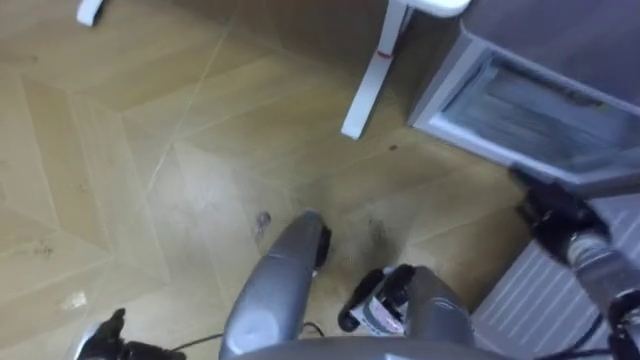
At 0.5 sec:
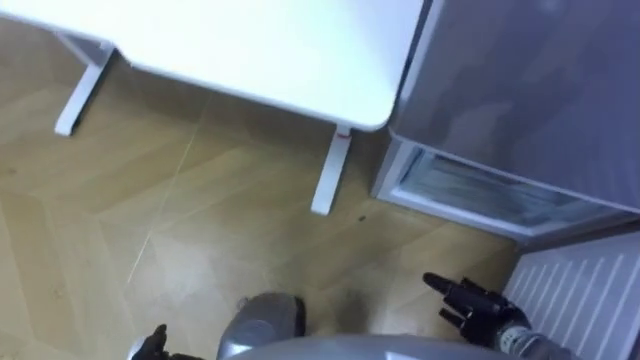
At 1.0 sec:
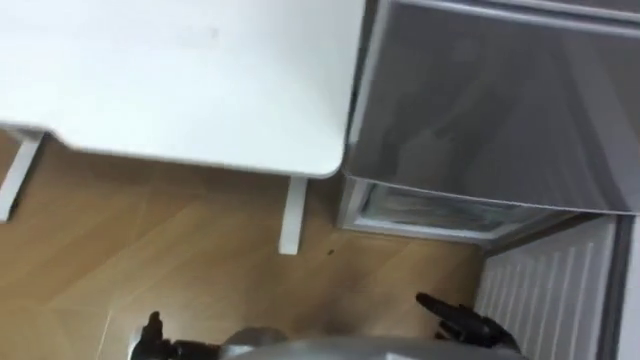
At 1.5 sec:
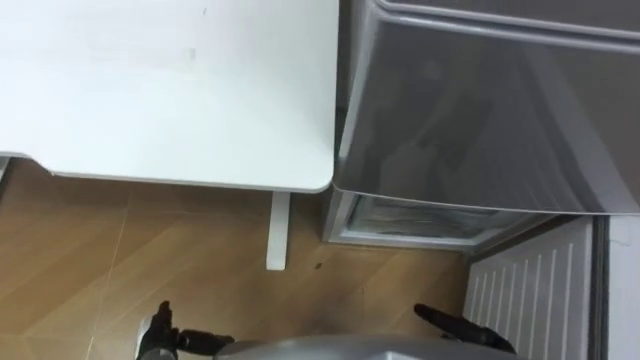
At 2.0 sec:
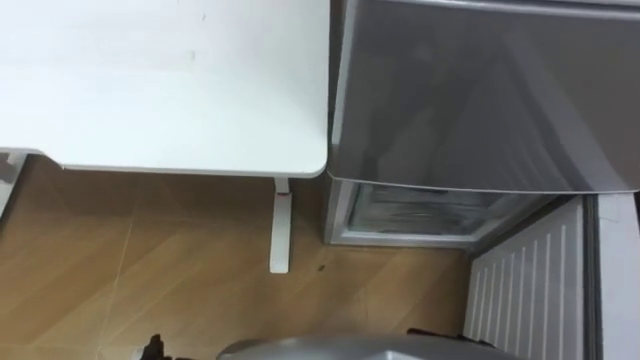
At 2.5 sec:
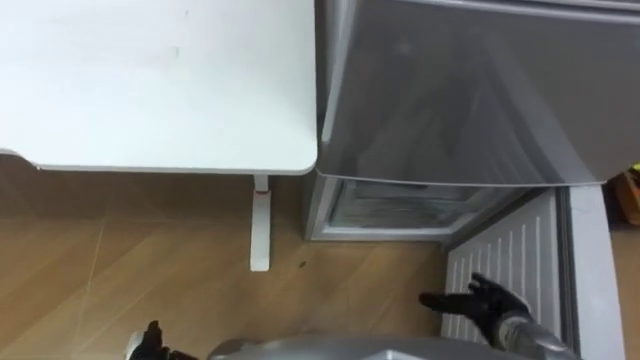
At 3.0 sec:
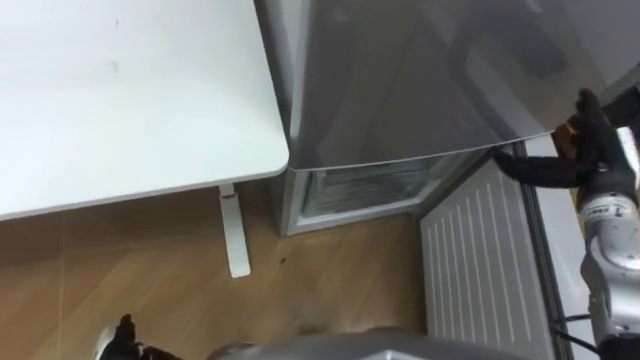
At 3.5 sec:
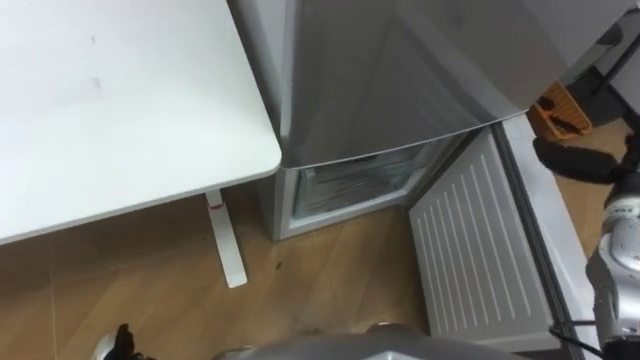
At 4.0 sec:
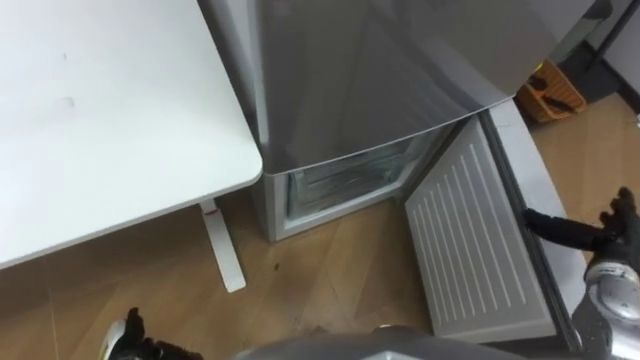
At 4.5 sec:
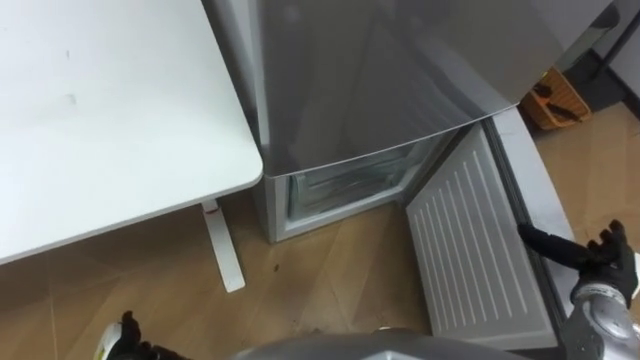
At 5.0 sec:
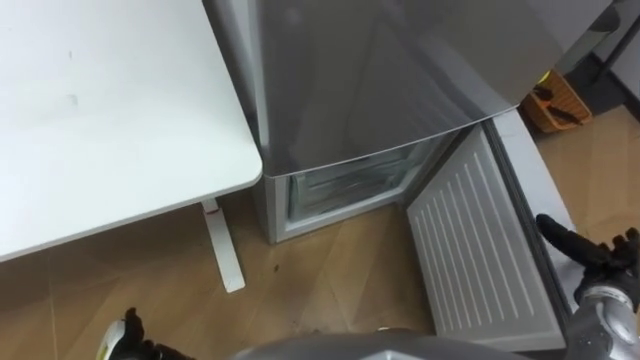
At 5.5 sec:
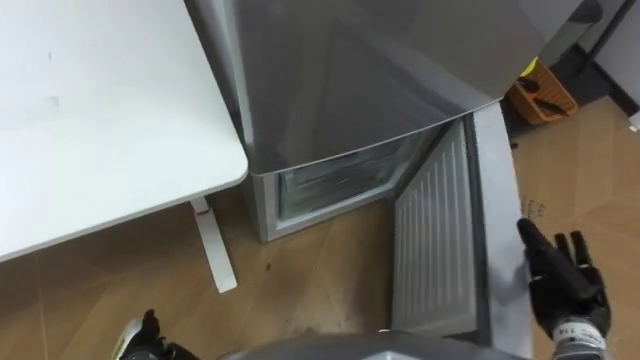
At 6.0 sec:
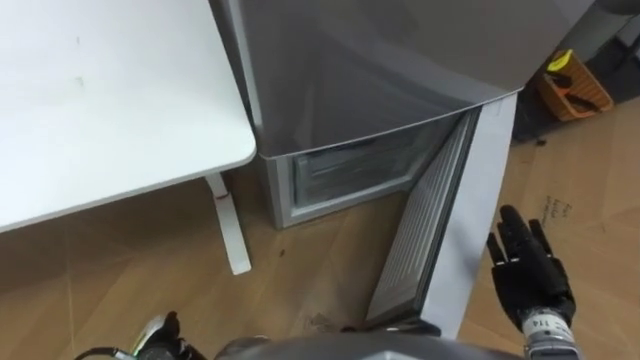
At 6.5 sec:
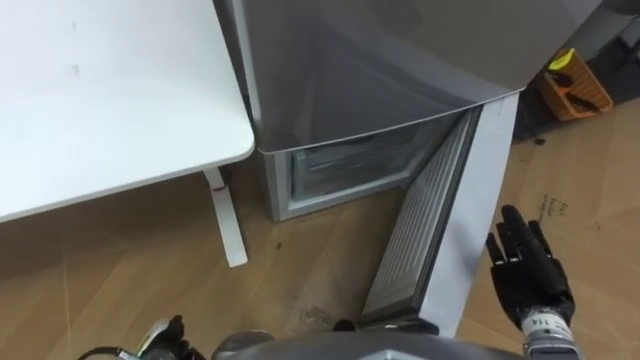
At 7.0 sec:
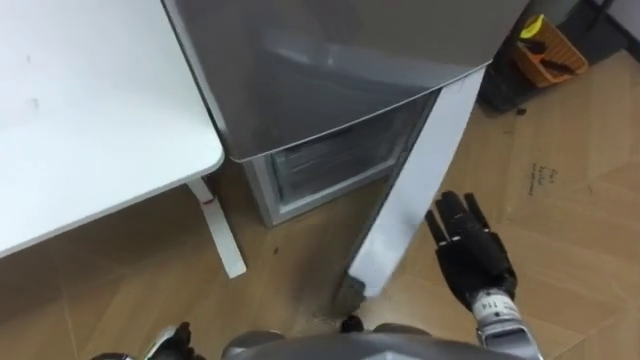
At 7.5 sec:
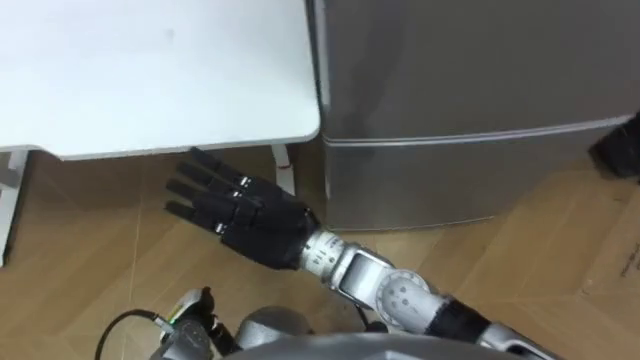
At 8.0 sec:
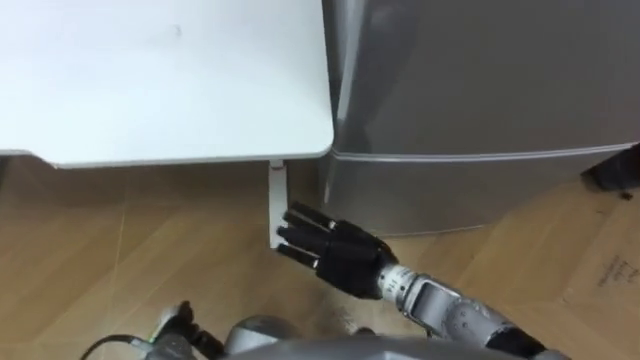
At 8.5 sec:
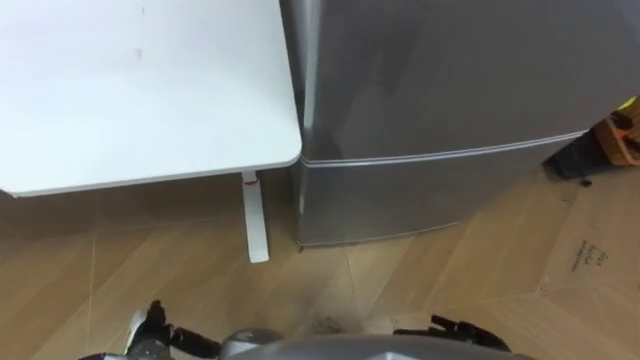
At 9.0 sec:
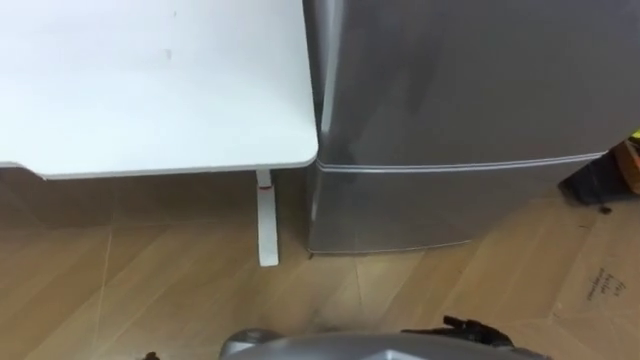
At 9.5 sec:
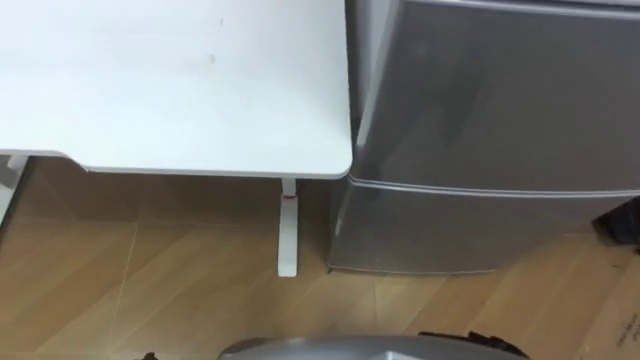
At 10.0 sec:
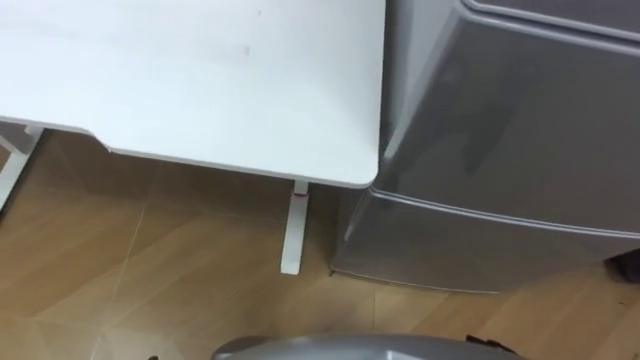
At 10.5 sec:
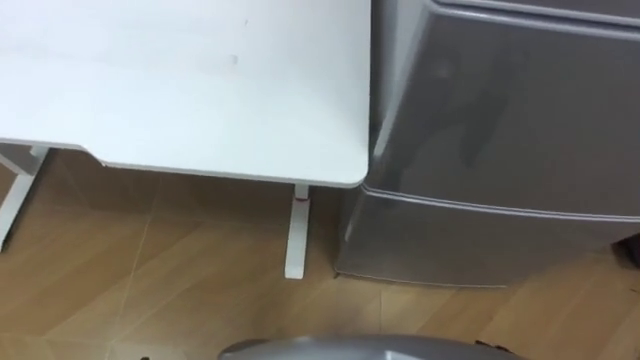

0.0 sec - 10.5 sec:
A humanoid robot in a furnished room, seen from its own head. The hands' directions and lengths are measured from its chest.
Task of the whole recording: Place the drink on the table on the bottom shelf of the refrigerator, then close the drawer and the refrigerator door.
2.0 sec - 4.0 sec: The robot faces roughly 20 degrees further to its right.
4.0 sec - 6.5 sec: The right hand travels to the left by about 10 cm.
6.5 sec - 8.5 sec: The right hand heads downward and backward, covering some 10 cm, and reaches about 35 cm to the left, then returns.
8.5 sec - 10.5 sec: The robot's body swings roughly 20 degrees to its left.

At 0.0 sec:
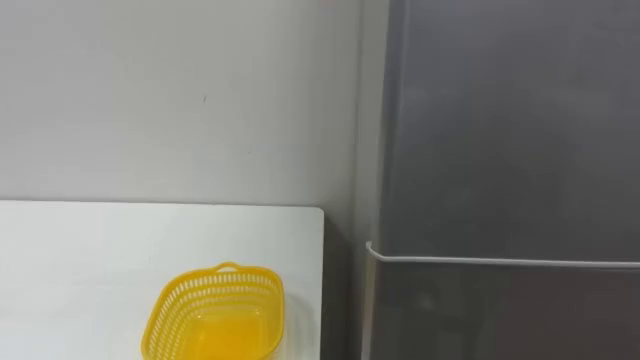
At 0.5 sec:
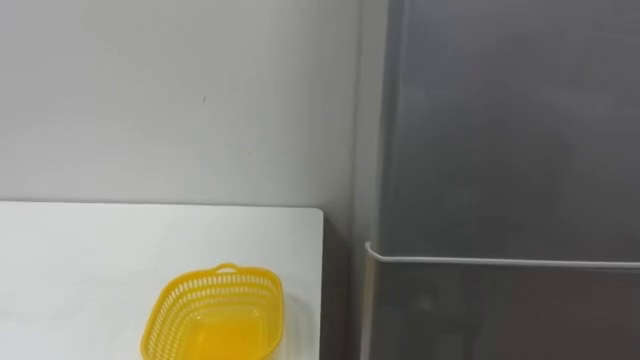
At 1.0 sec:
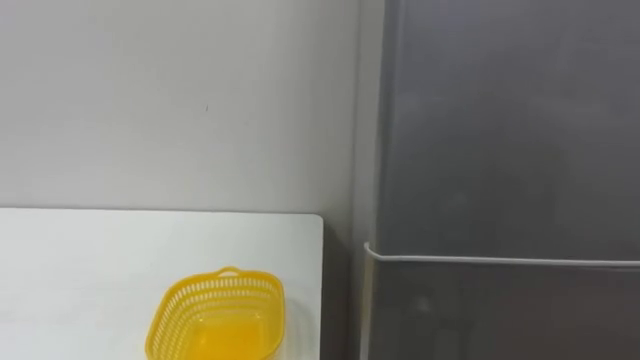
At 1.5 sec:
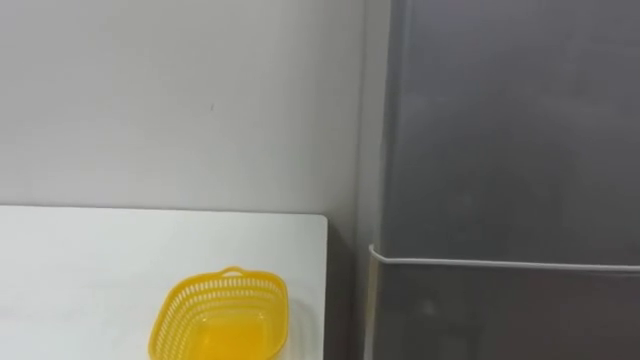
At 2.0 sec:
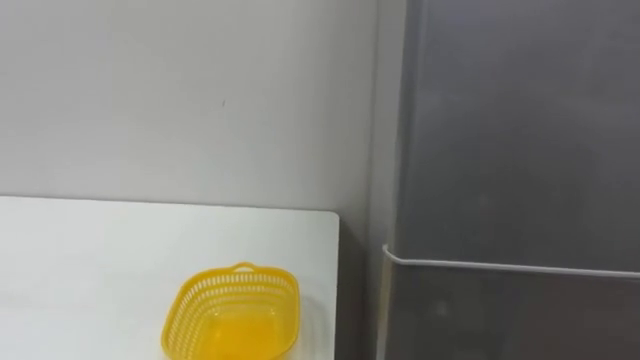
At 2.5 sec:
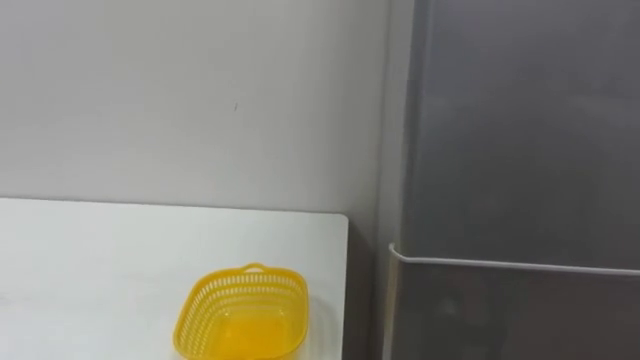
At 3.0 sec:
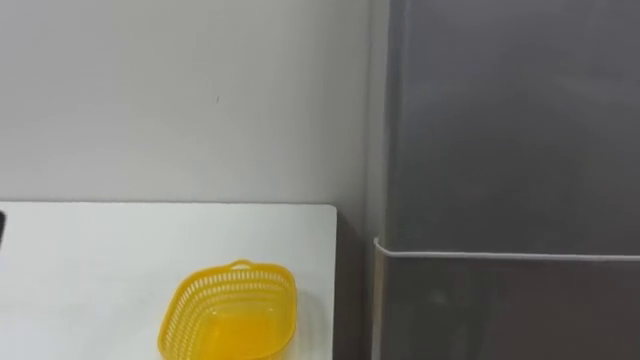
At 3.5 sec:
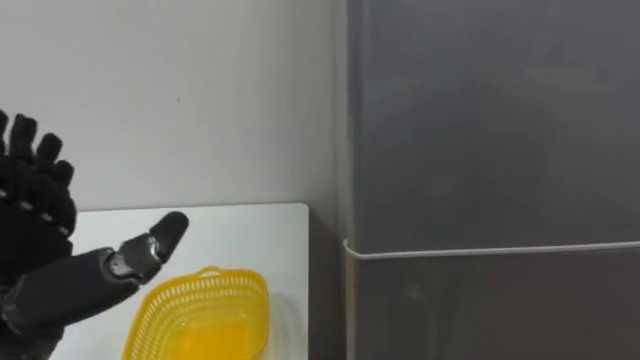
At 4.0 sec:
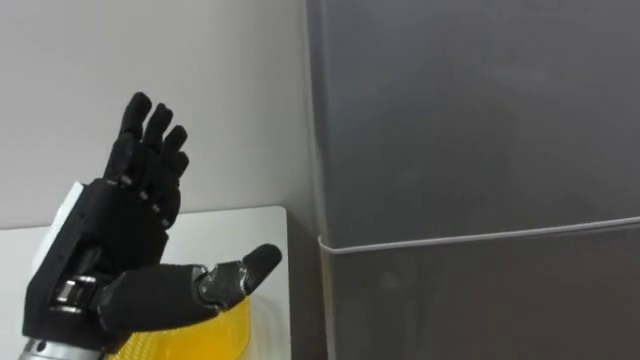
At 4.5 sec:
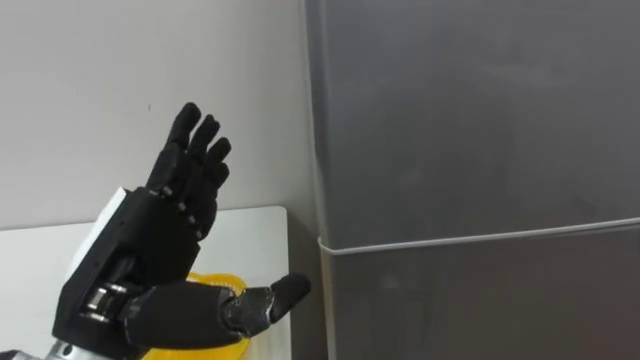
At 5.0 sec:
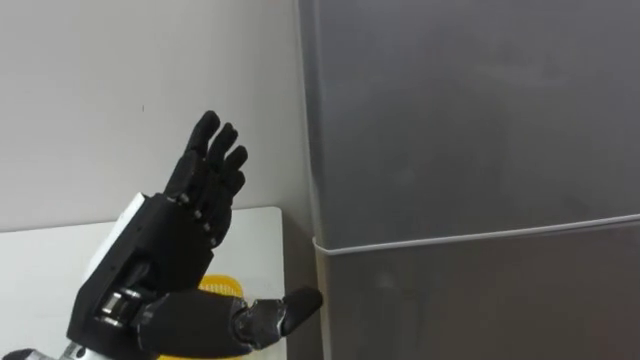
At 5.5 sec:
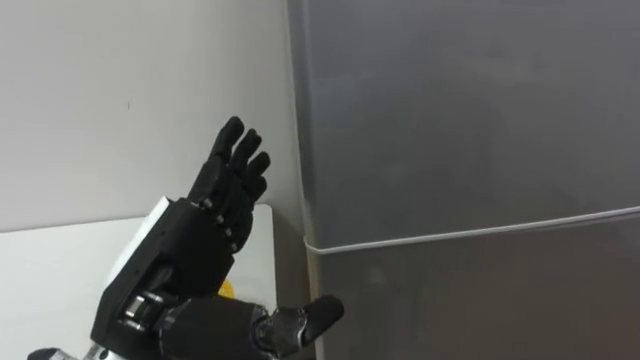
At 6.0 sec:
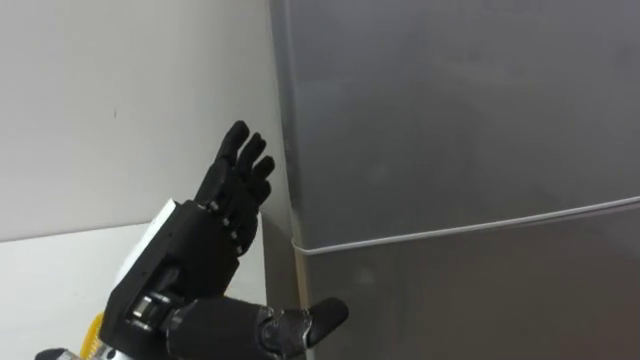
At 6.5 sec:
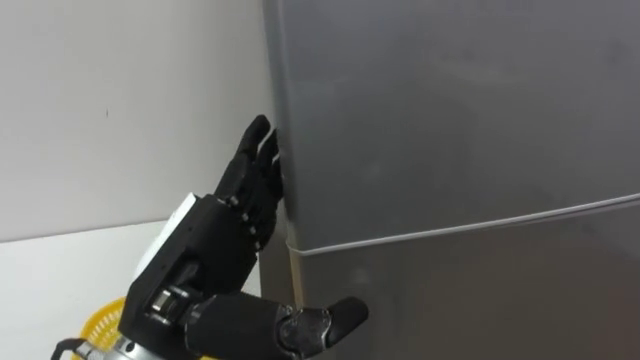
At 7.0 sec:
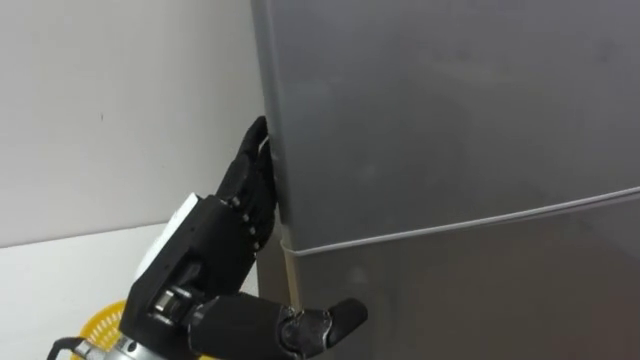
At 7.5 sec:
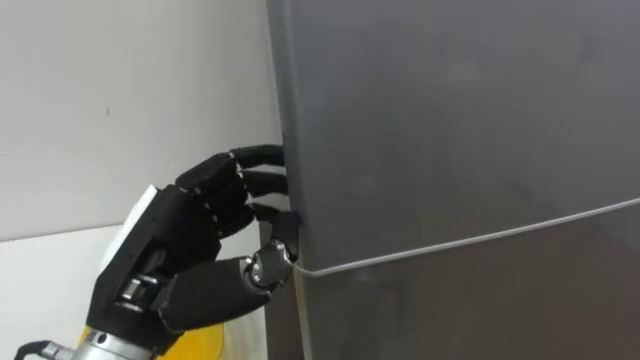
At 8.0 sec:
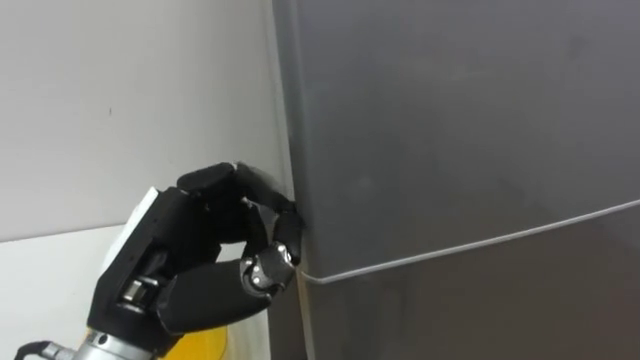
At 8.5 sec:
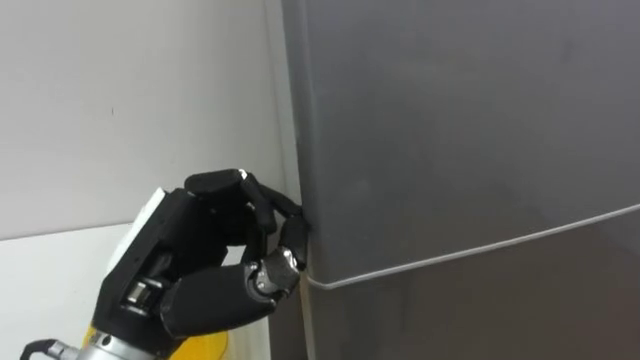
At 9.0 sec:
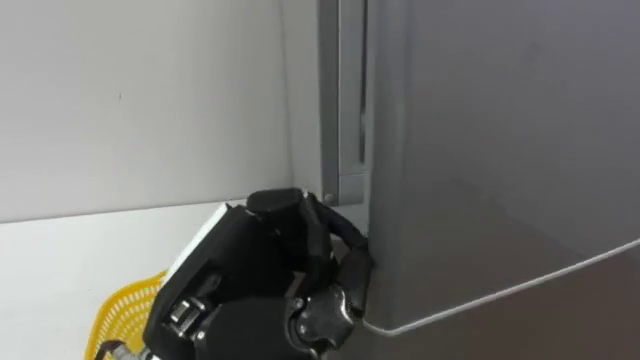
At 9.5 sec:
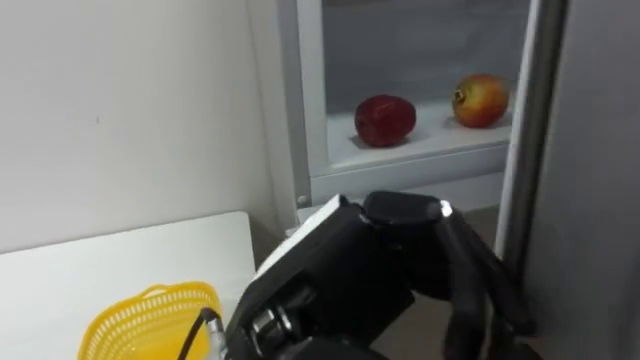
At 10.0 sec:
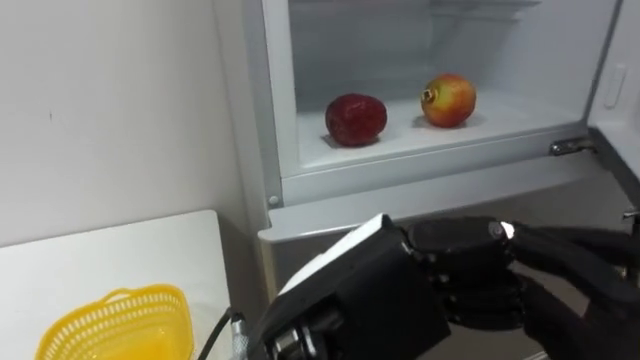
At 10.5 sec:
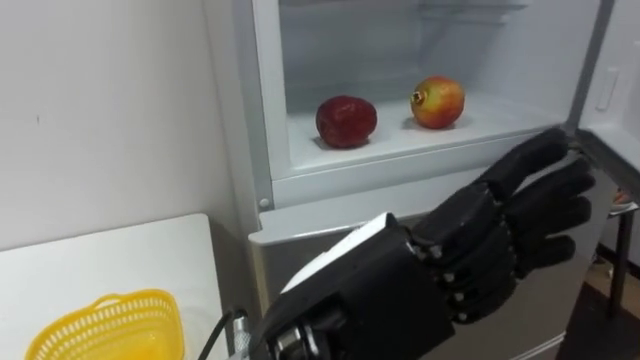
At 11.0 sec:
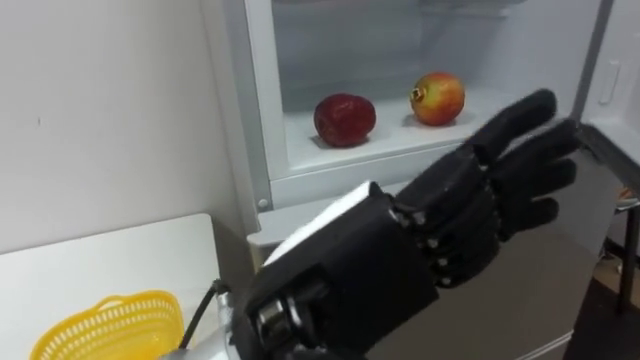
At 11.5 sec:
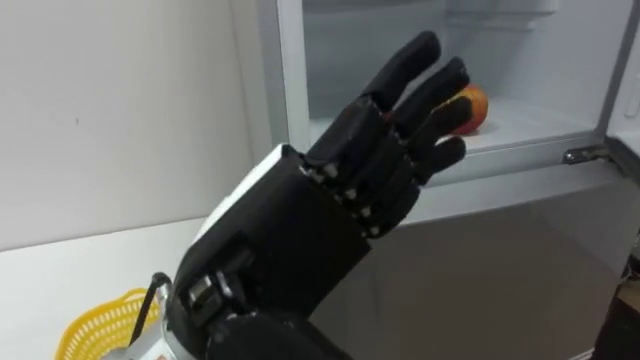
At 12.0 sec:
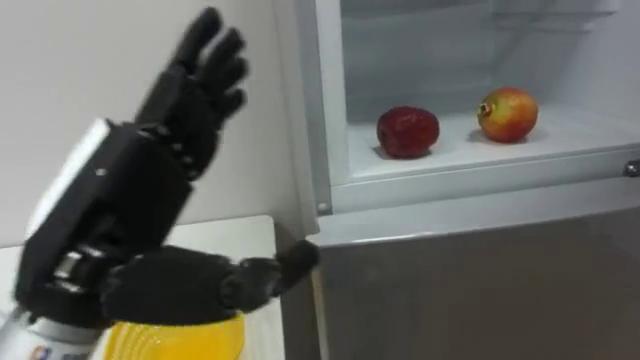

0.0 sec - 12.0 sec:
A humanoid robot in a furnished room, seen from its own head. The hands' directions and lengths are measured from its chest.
Task of the whole recording: Open the refrigerator door, take out the apple and the pomegranate, place them in the fruit basket on the left, and close the refrigerator door.
4.0 sec - 6.0 sec: The left hand moves to the right, some 5 cm.
6.0 sec - 8.0 sec: The left hand closes up.
8.0 sec - 10.0 sec: The left hand moves to the right and backward, about 15 cm, and opens up.
10.0 sec - 12.0 sec: The left hand heads to the left, covering about 15 cm, and opens up.
